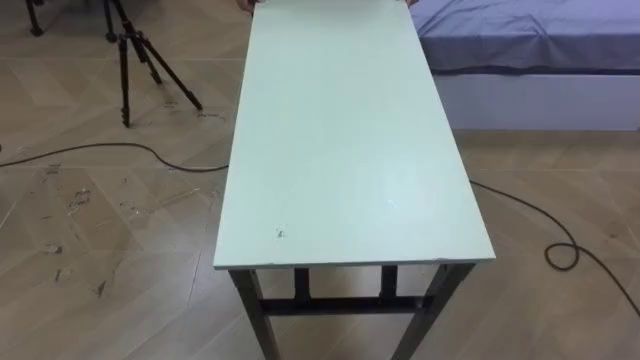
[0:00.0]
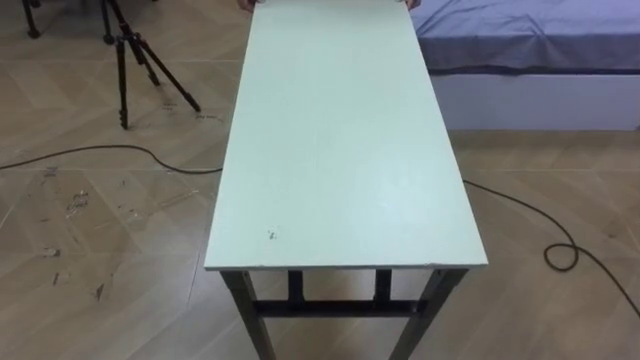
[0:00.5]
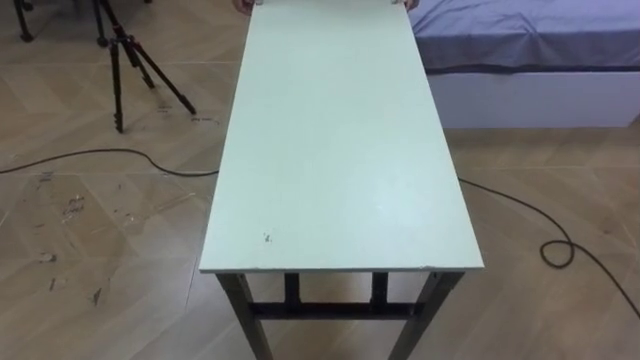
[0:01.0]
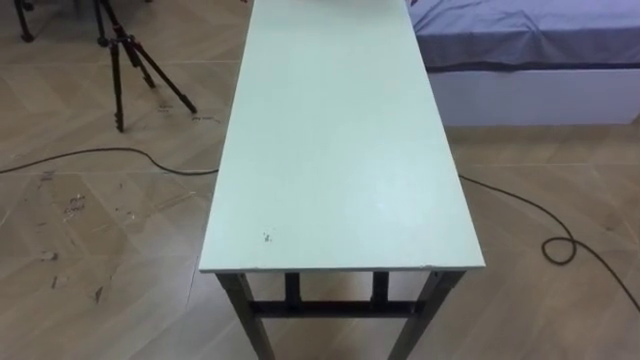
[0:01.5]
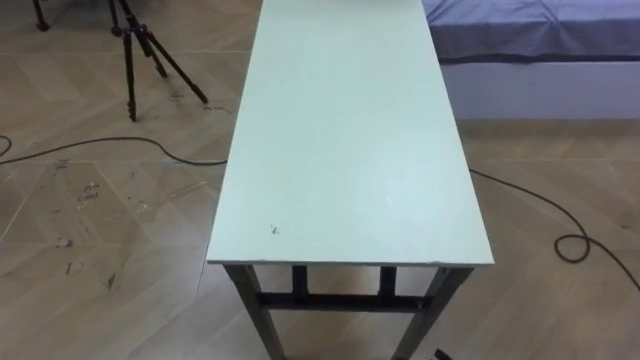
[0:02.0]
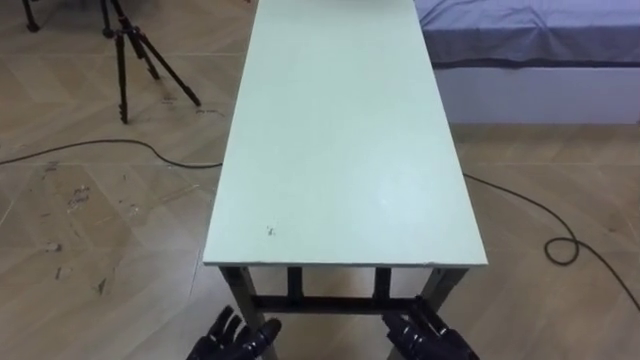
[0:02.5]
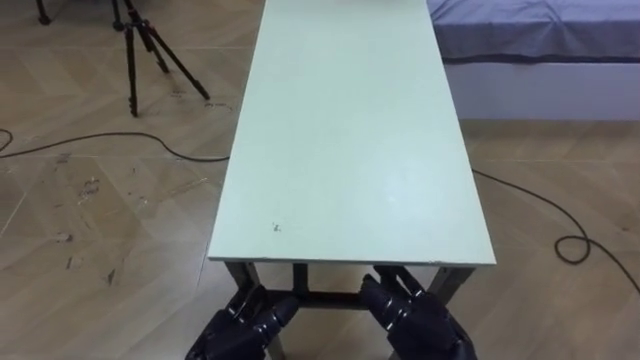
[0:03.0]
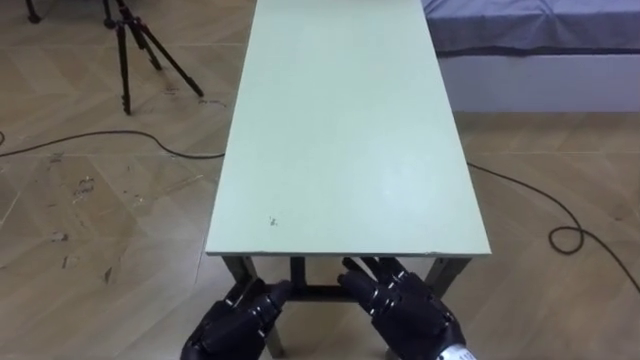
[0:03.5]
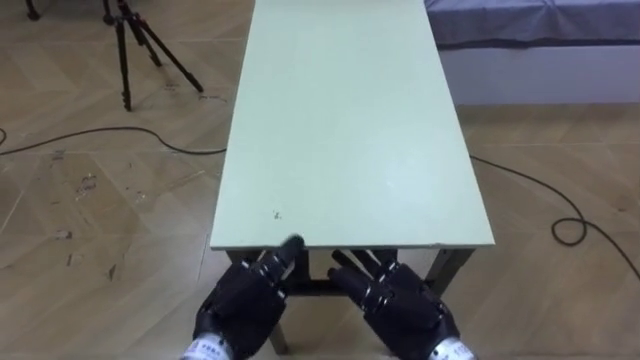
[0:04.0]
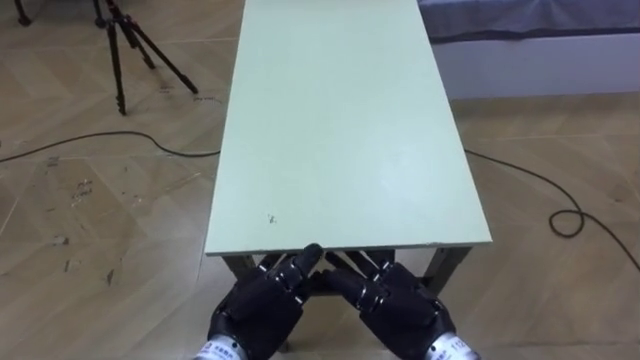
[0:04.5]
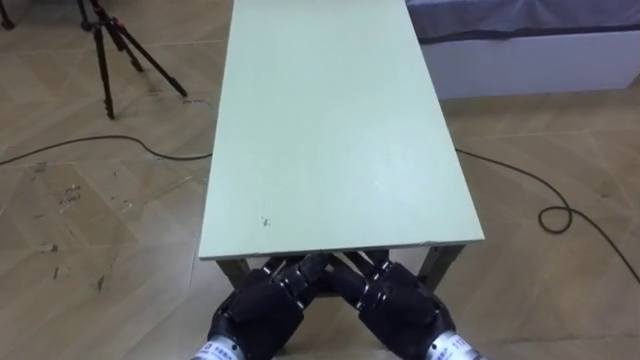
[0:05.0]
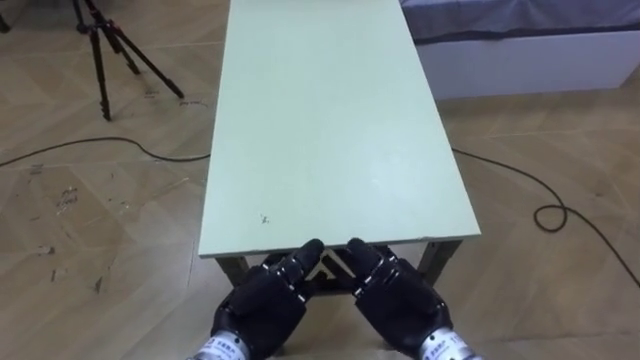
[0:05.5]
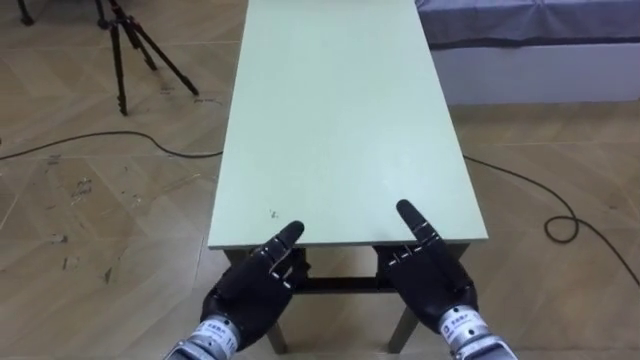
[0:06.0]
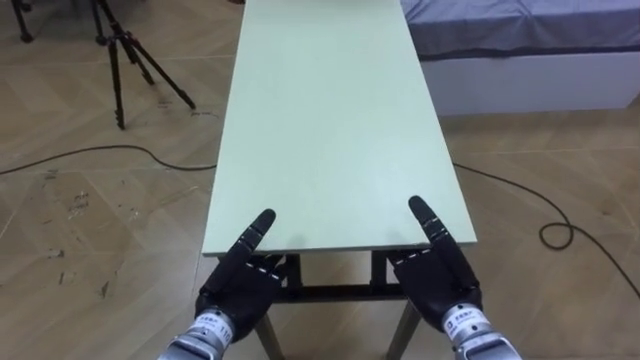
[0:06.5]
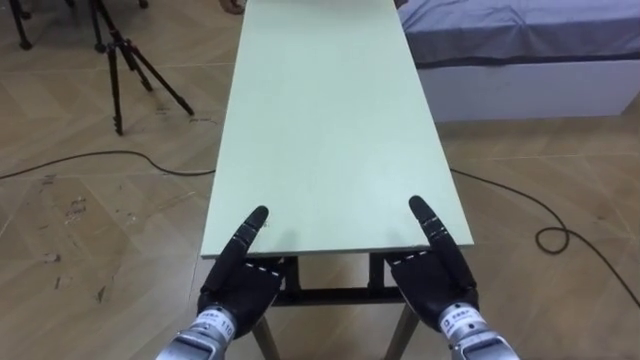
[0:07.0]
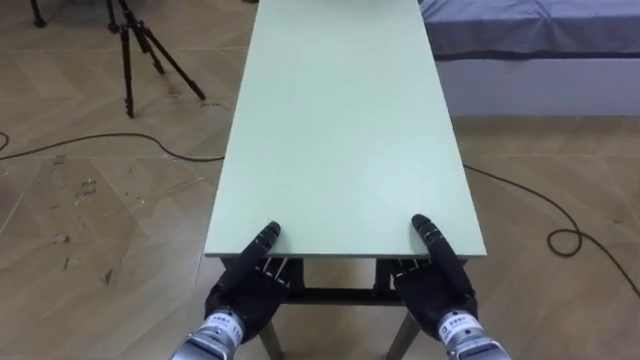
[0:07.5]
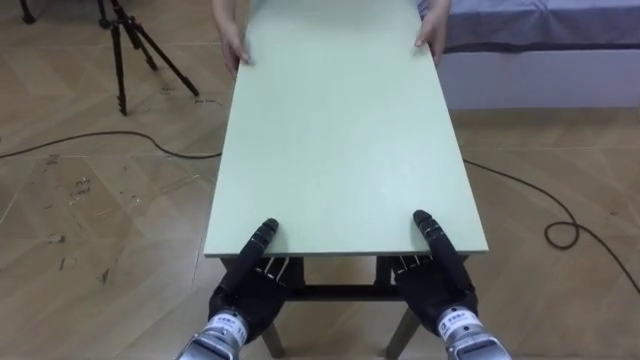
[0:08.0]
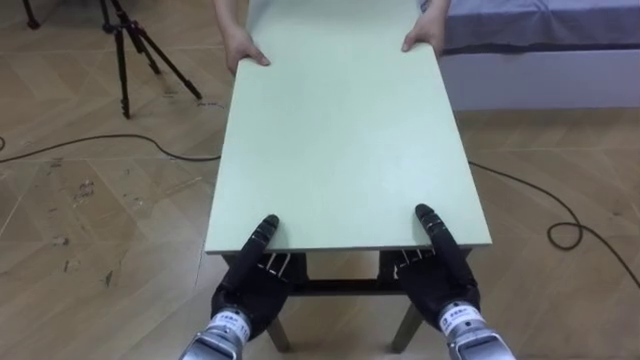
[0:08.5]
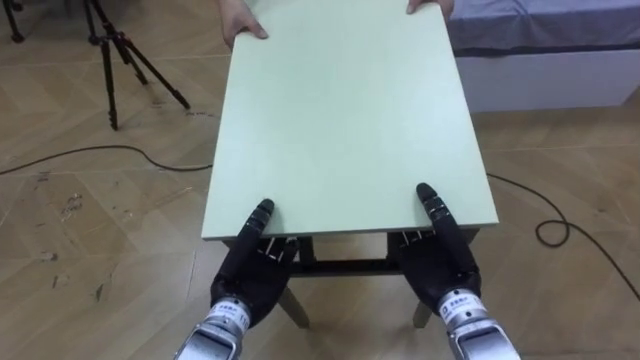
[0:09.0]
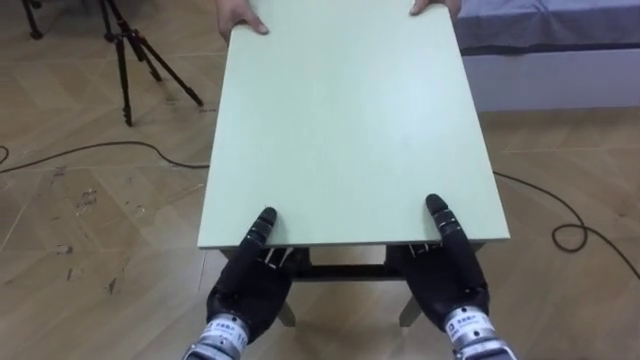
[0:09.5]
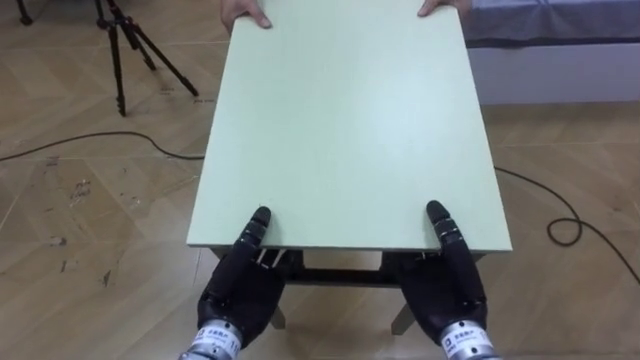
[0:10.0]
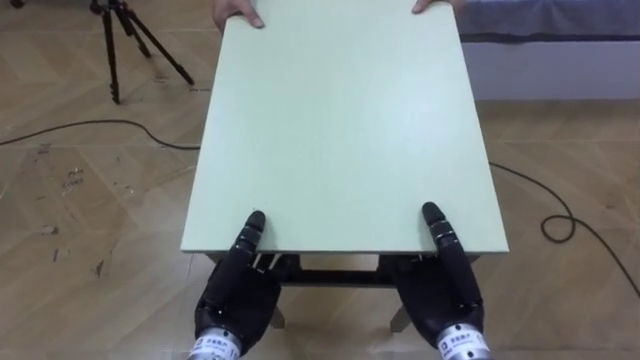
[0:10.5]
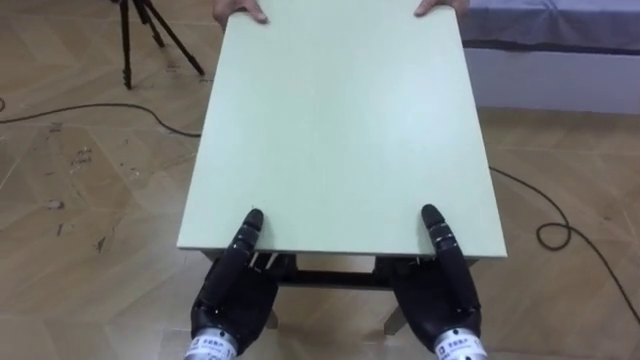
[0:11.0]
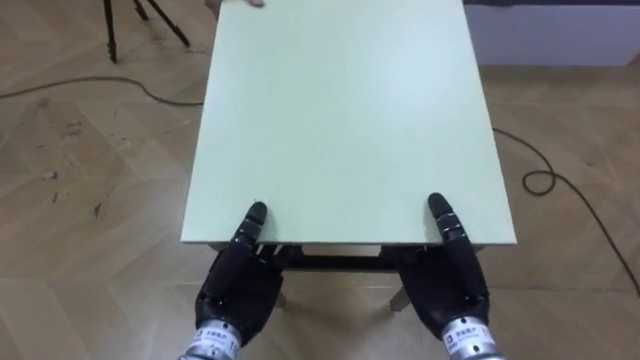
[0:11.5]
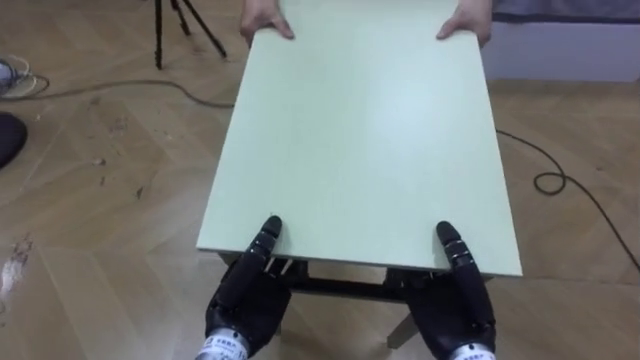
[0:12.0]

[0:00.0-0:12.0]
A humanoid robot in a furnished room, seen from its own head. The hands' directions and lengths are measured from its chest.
Task of the whole recording: Move the table to the back left with someone.
0:04.0 to 0:06.0: The right hand ends up about 5 cm from where it was.
0:06.0 to 0:08.0: The right hand closes its fingers. The left hand closes.
0:08.0 to 0:10.0: The hands move only a little.

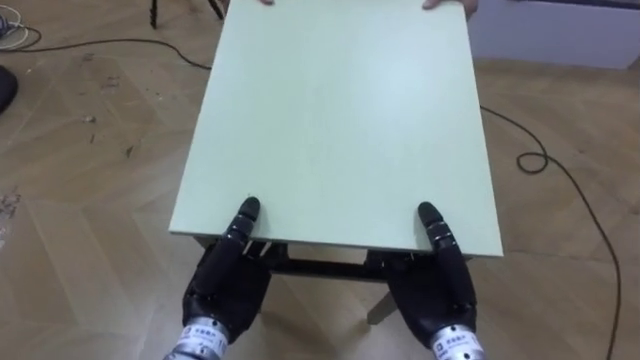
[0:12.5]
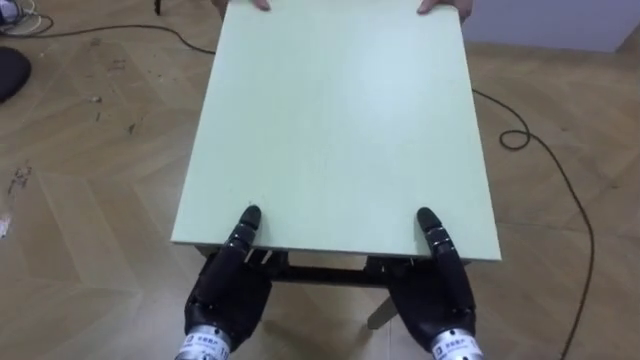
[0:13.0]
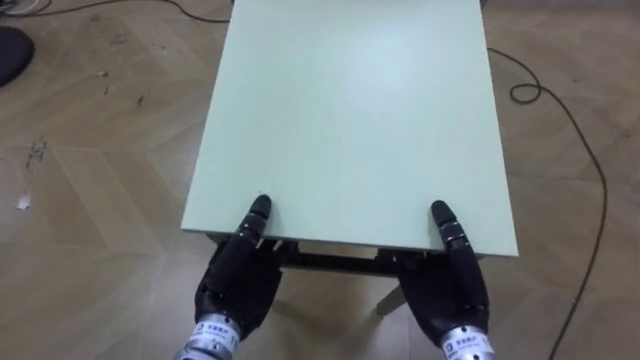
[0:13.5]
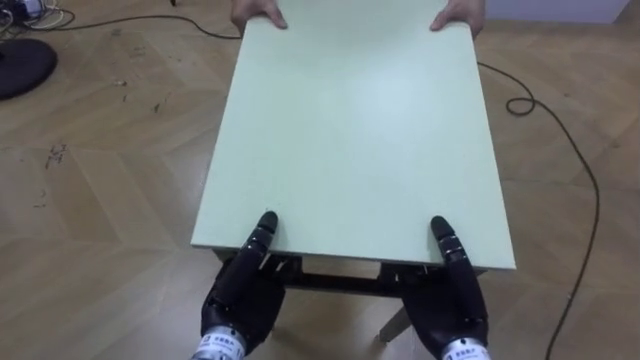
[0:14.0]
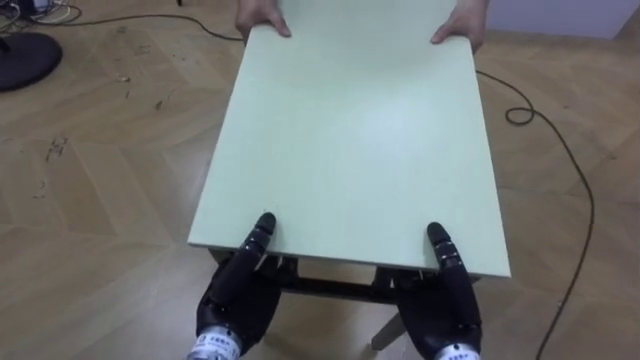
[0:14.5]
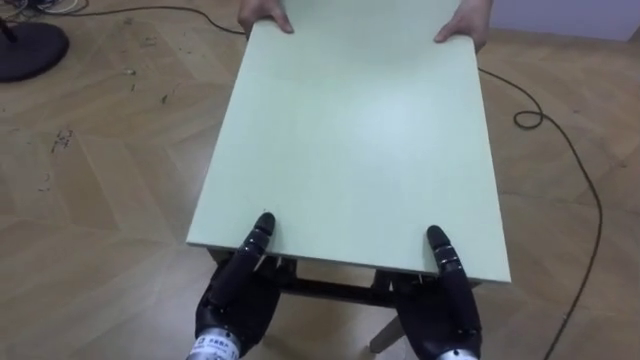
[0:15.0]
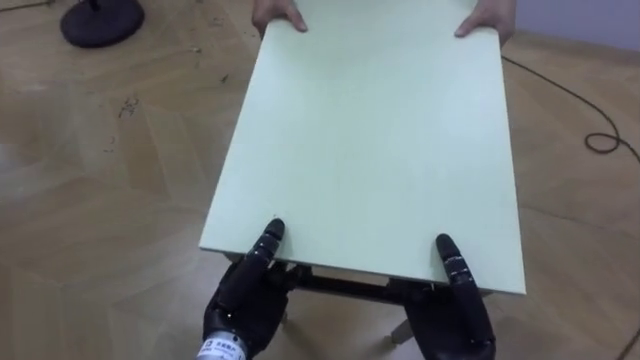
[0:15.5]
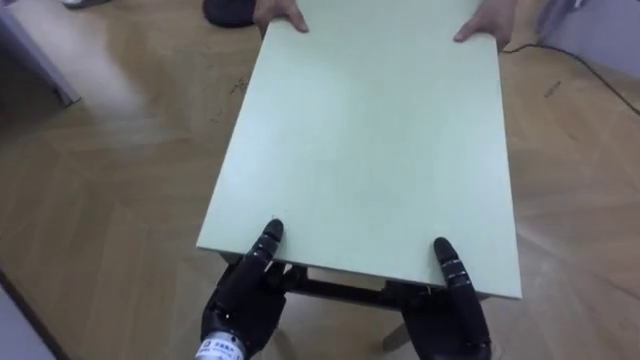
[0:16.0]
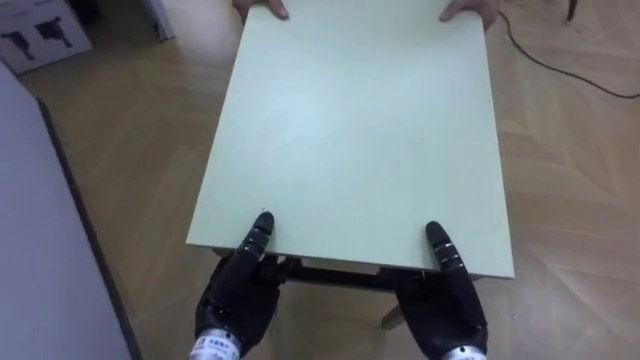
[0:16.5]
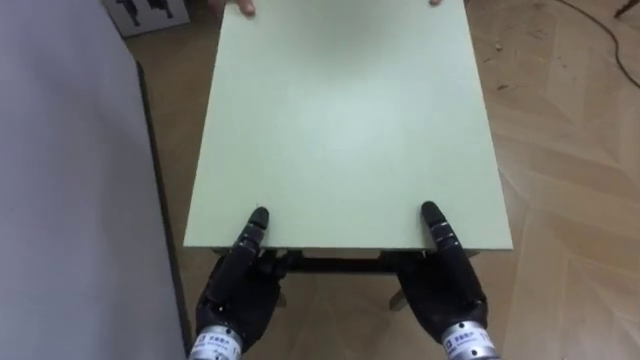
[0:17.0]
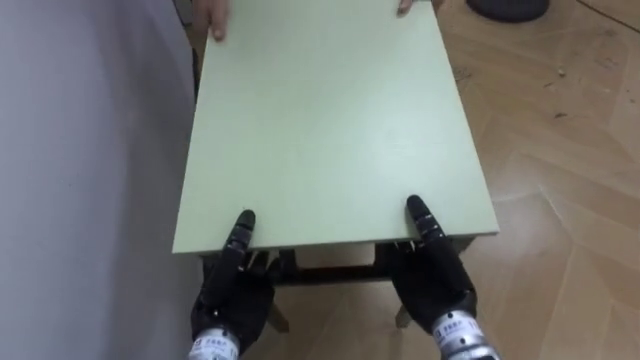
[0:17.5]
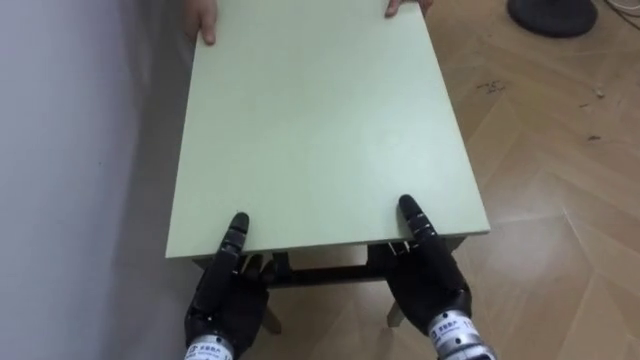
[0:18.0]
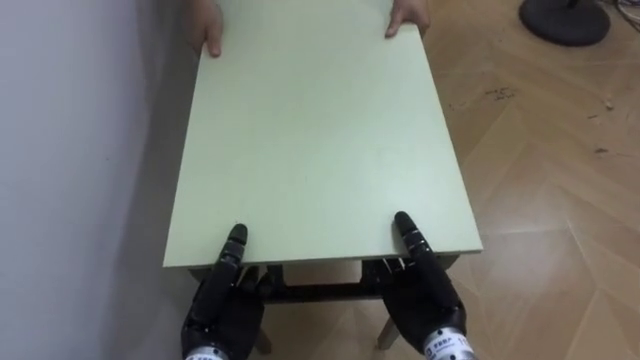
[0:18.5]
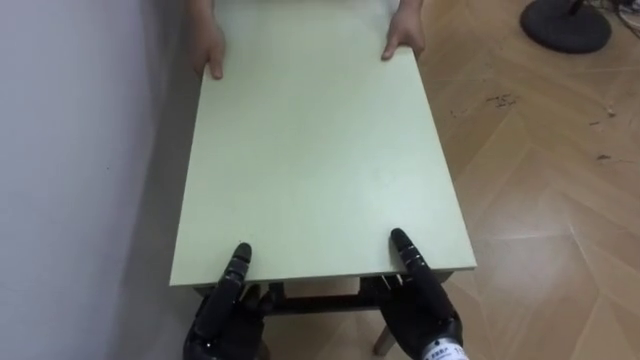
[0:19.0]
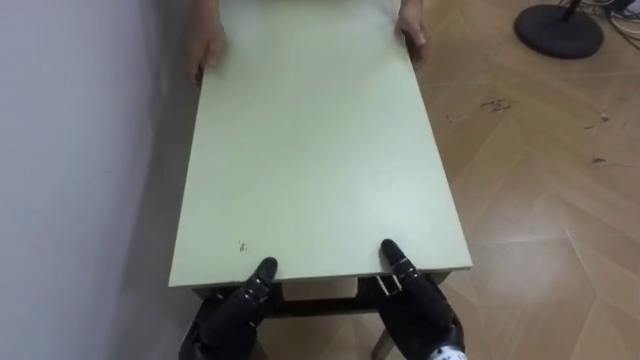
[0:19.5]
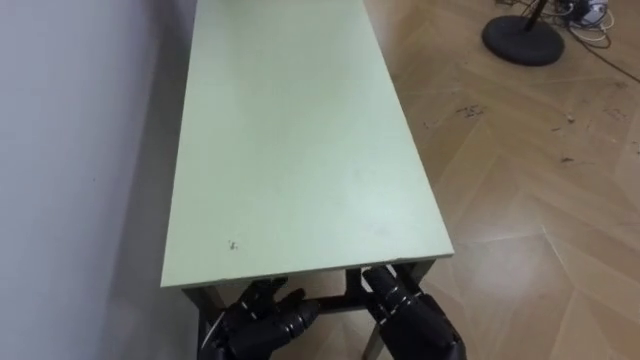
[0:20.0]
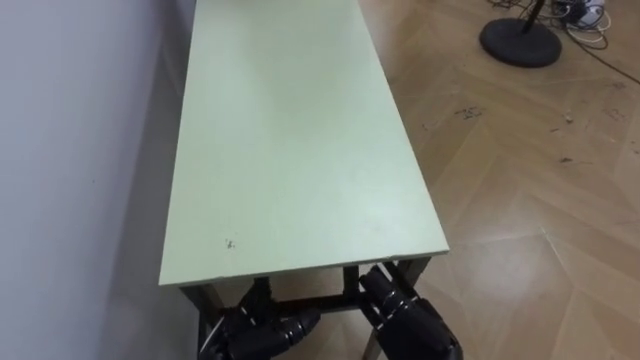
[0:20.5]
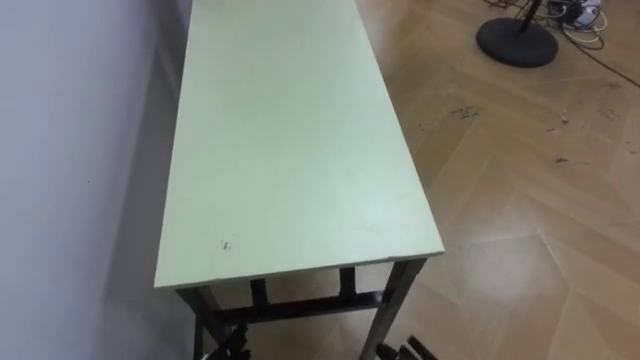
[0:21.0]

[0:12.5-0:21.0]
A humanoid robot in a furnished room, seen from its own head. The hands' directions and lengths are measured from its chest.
Task of the whole recording: Move the table to the back left with someone.
0:14.5 to 0:16.5: The robot rotates roughly 45 degrees to its left.
0:16.5 to 0:19.0: The robot's body swings roughly 30 degrees to its left. The left hand ends up roughly 5 cm from where it was.
